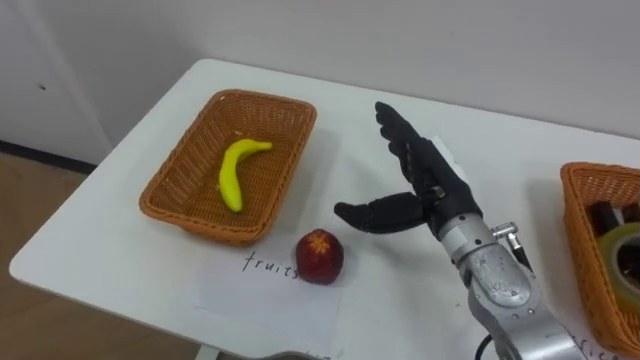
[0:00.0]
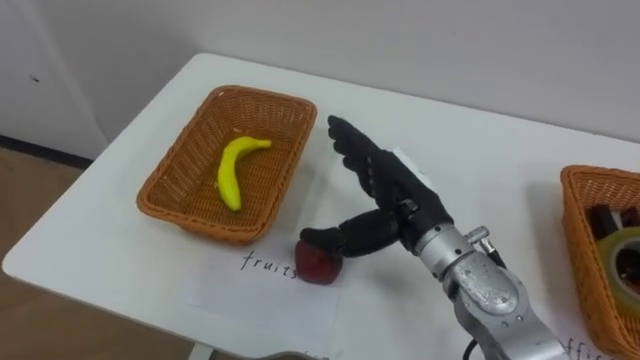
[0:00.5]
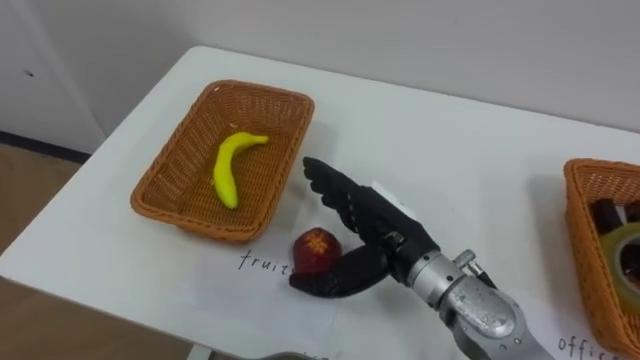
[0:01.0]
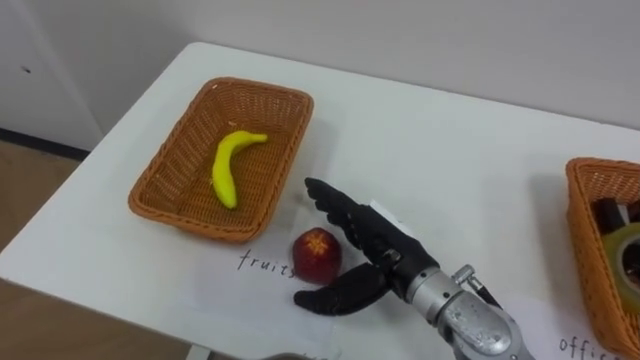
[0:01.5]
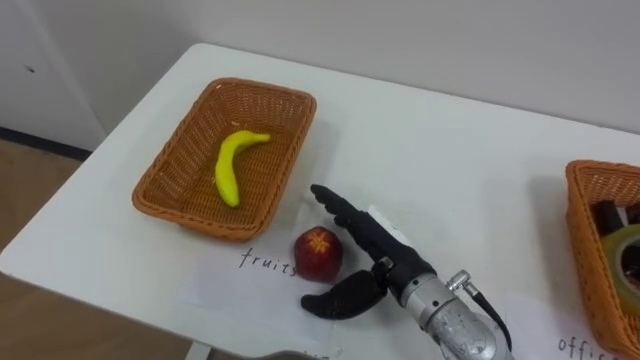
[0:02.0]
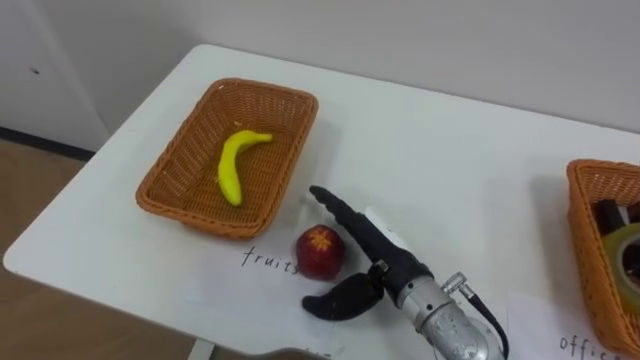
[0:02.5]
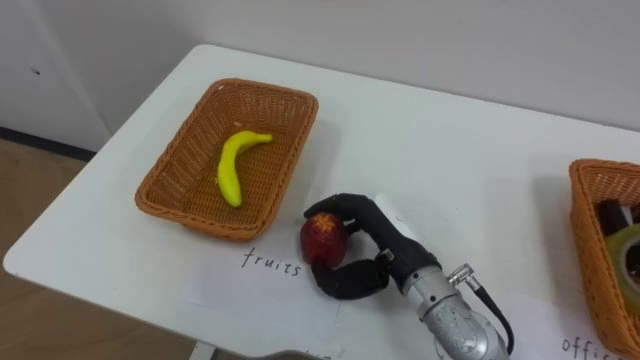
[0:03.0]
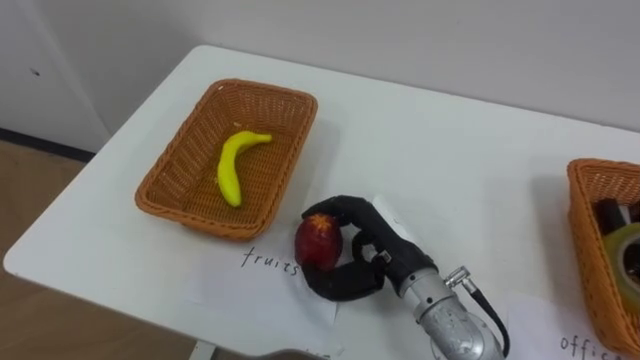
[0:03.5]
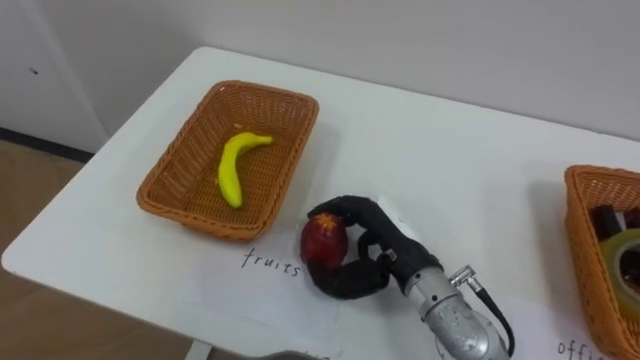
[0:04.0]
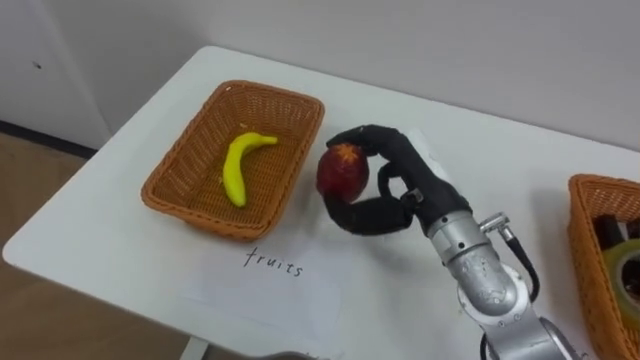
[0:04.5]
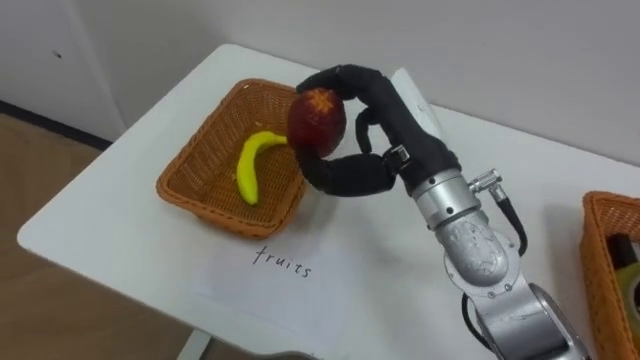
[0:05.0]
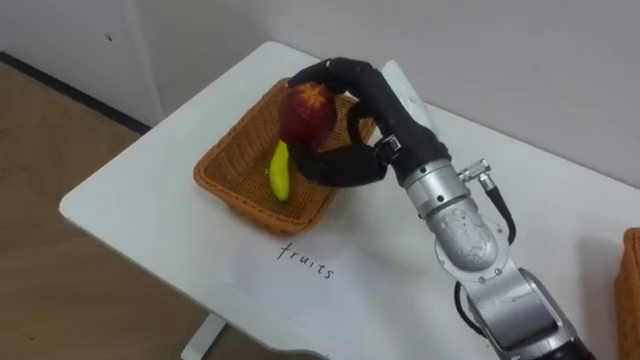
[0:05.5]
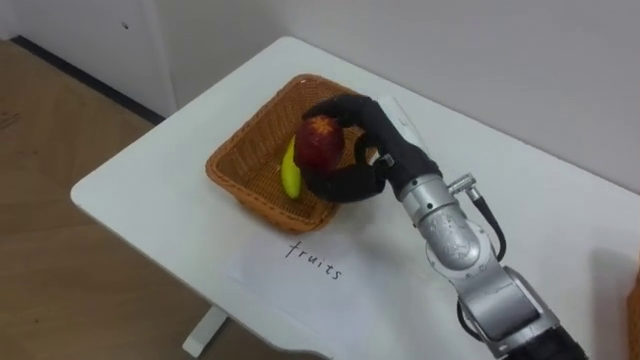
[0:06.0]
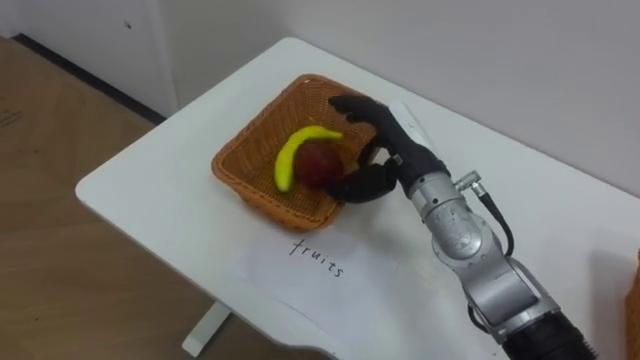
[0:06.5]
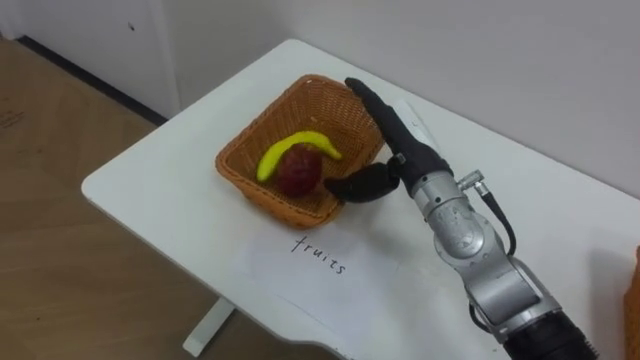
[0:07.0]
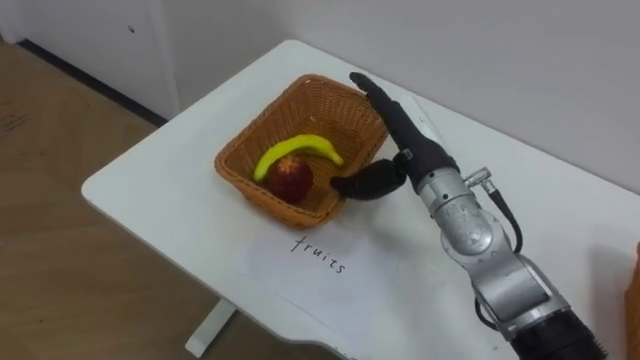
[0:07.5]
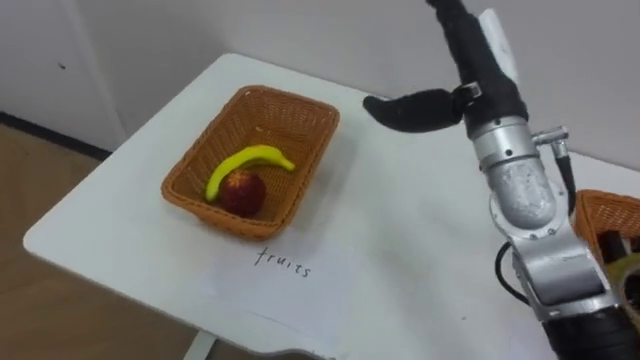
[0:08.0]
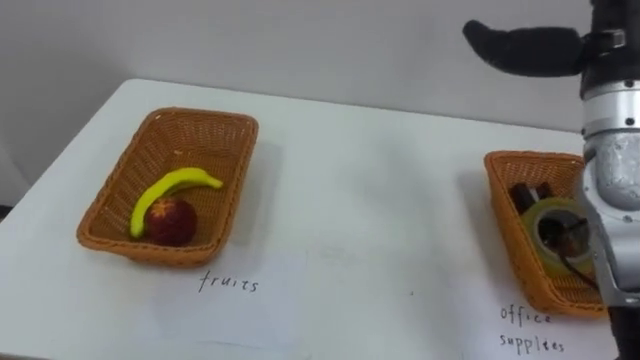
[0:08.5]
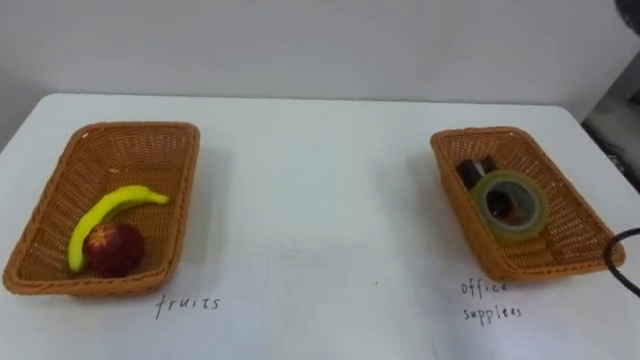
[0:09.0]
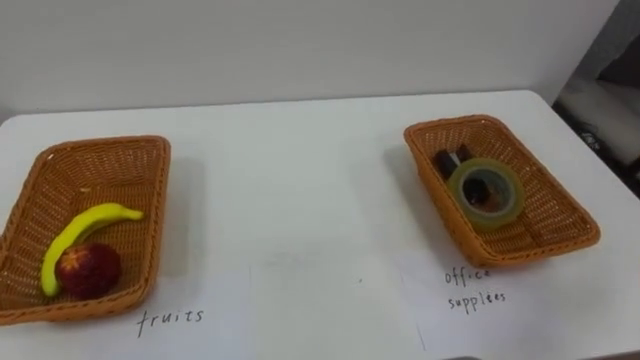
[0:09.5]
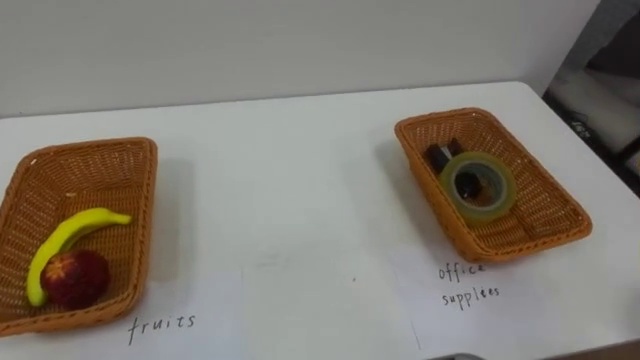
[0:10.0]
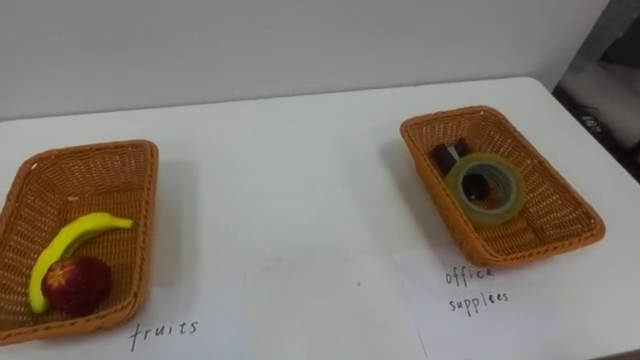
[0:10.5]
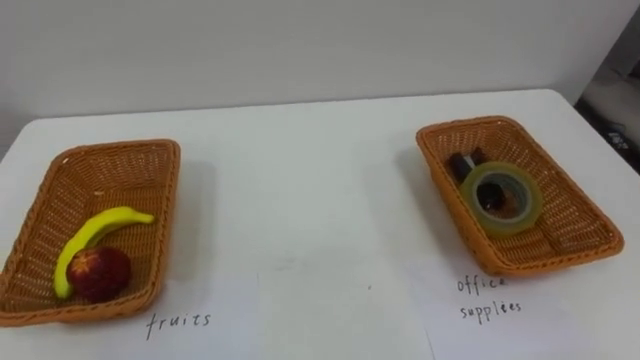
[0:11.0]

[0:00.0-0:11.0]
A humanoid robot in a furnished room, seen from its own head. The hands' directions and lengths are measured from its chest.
Task of the whole recording: Separate the items on the table and place them into the two baskets.
0:00.0 to 0:02.0: The right hand shifts some 10 cm to the left and backward.
0:02.0 to 0:03.5: The right hand closes up.
0:03.5 to 0:05.5: The right hand shifts about 15 cm upward.
0:05.5 to 0:07.5: The right hand heads downward, covering approximately 5 cm, and opens.

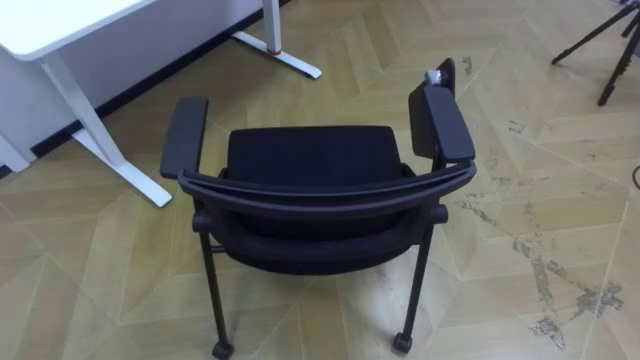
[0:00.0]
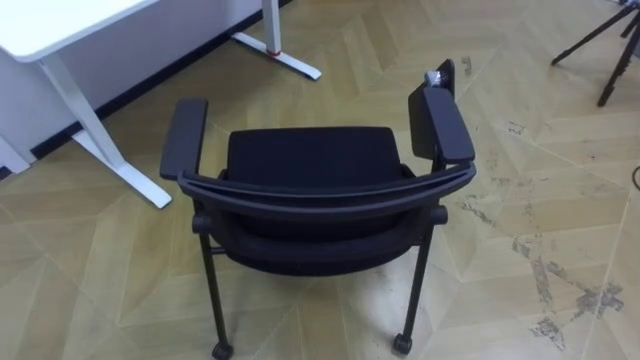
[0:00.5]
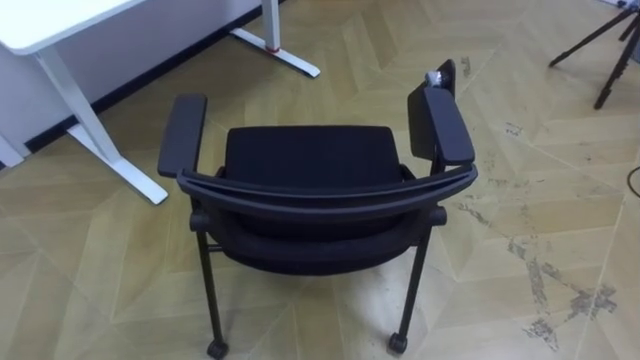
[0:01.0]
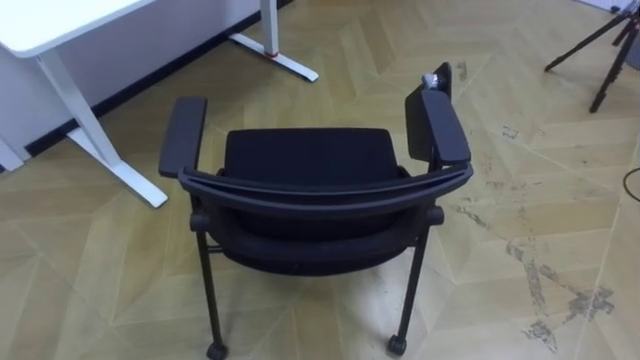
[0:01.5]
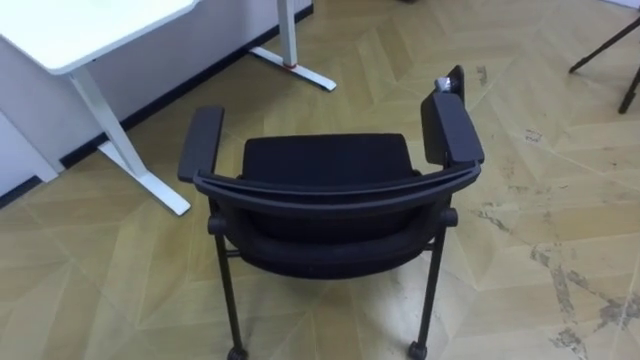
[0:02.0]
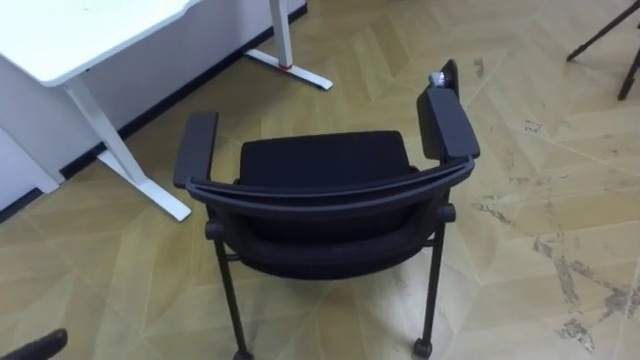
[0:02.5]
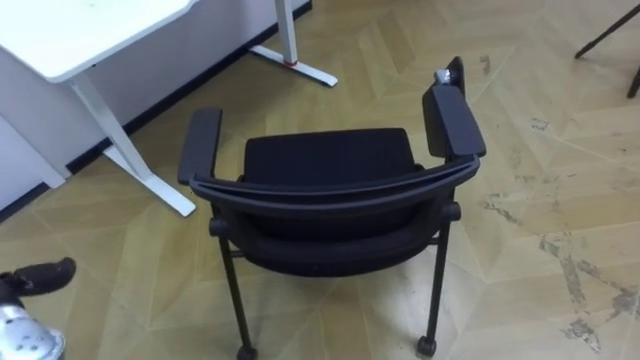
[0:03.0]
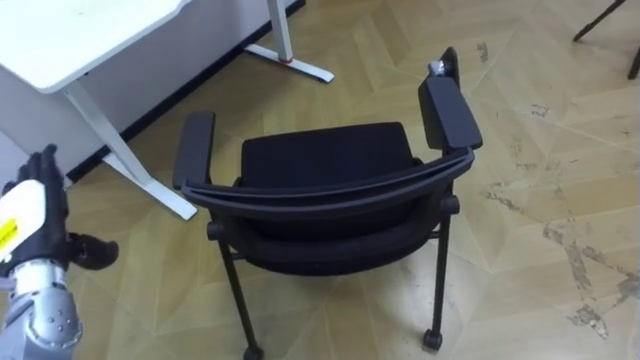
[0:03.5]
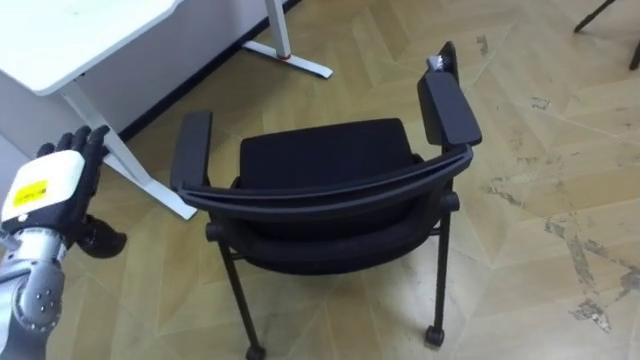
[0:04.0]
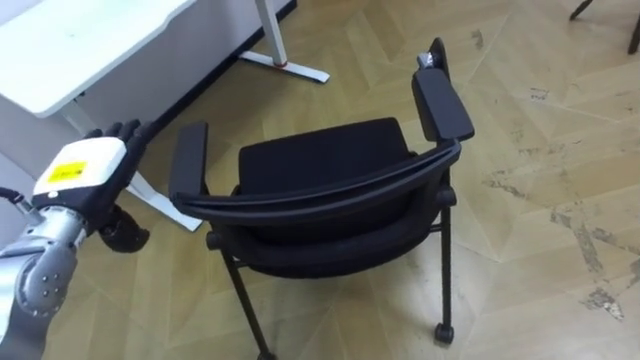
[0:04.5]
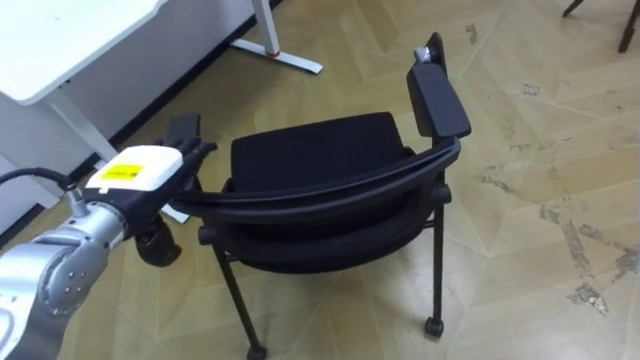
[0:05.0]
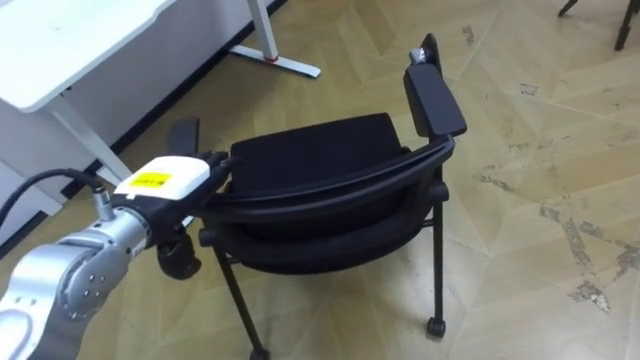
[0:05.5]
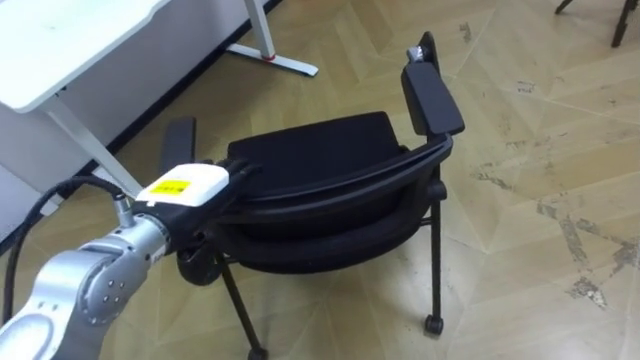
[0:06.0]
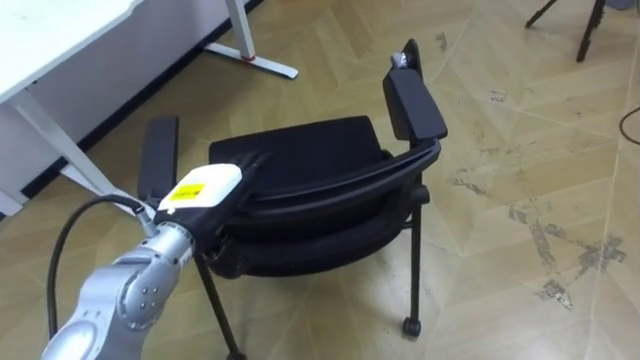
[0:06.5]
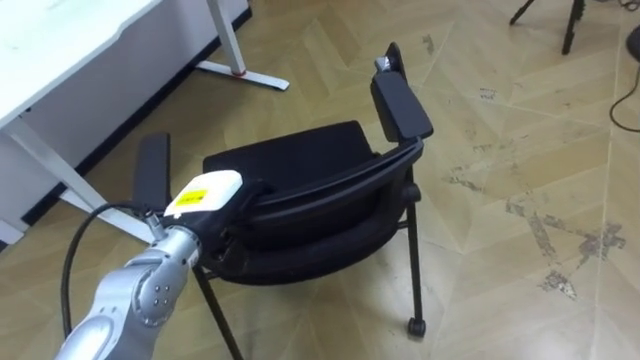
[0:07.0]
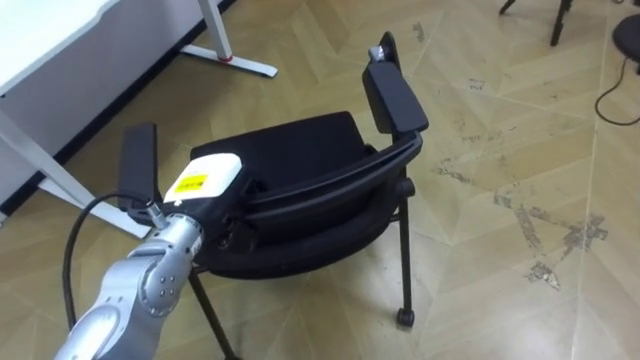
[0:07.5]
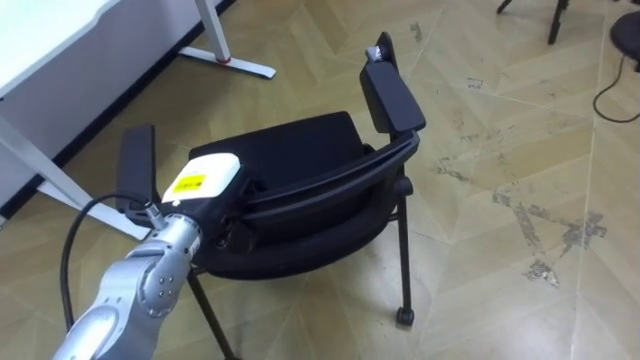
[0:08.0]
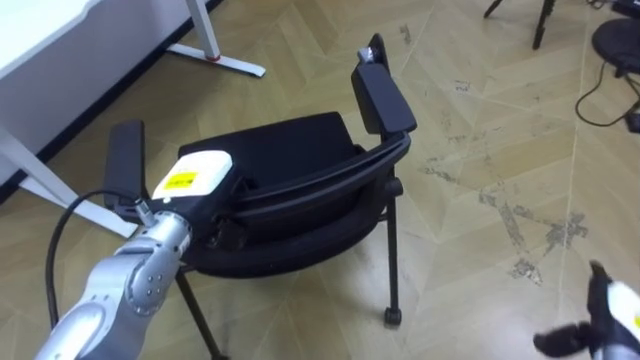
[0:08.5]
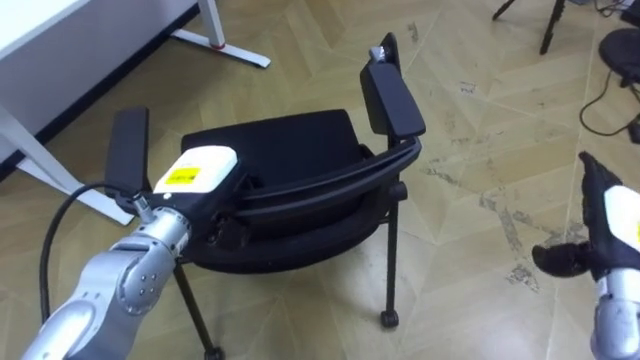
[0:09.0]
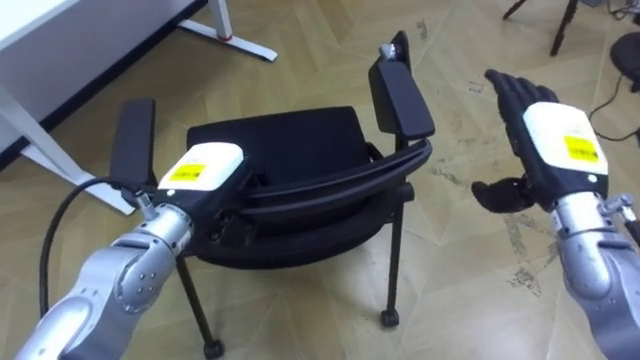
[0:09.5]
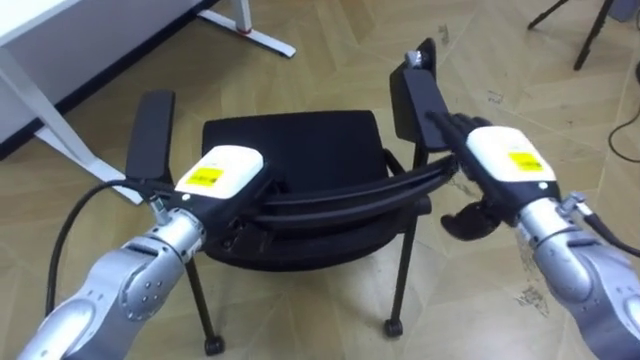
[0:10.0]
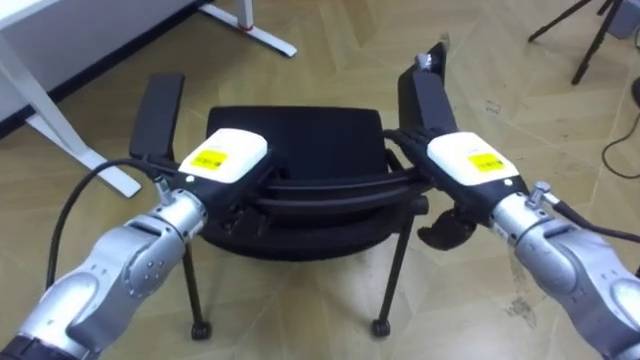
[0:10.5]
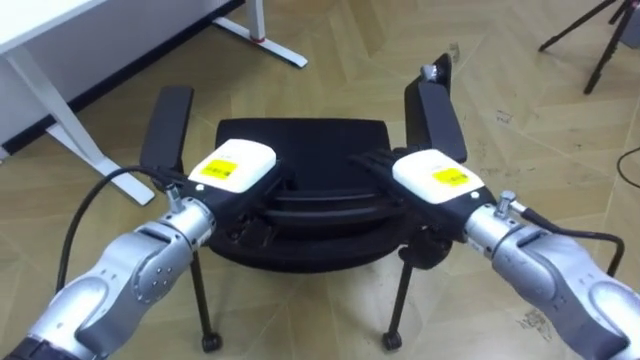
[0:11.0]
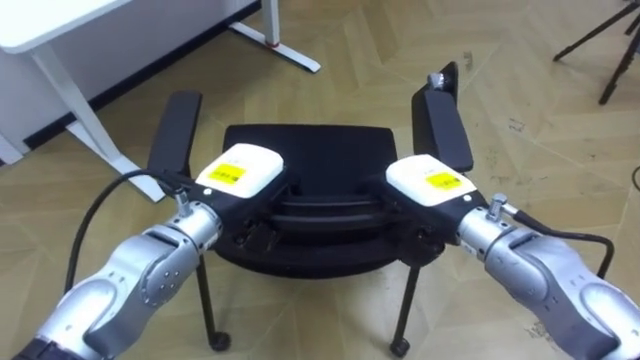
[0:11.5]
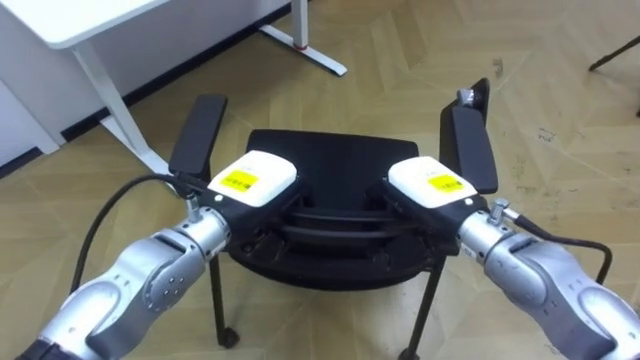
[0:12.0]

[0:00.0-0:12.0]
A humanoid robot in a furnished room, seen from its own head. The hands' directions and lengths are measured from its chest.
Task of the whole recording: Push the chair under the table.
0:04.0 to 0:06.0: The left hand heads to the right, covering some 15 cm.
0:06.0 to 0:08.0: The left hand closes its fingers.
0:10.0 to 0:12.0: The right hand goes approximately 10 cm to the left, and closes up.
